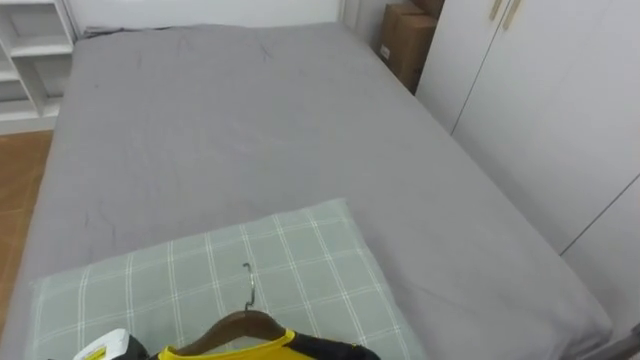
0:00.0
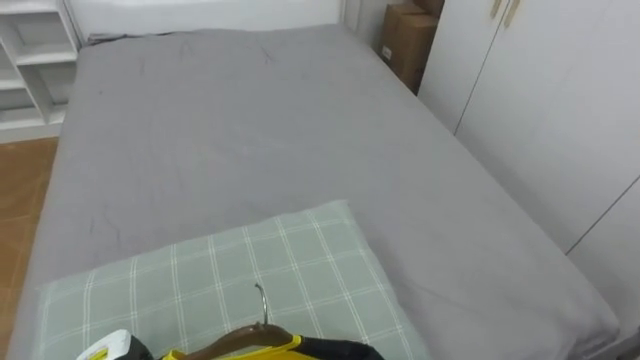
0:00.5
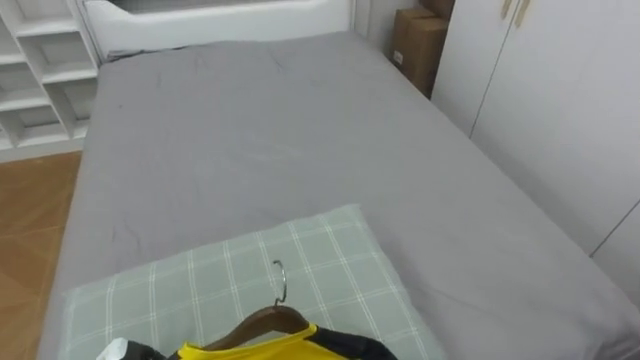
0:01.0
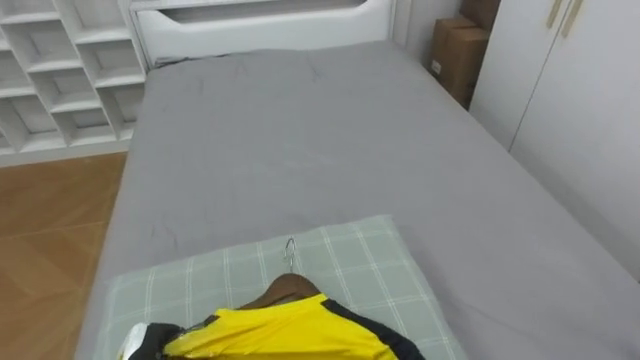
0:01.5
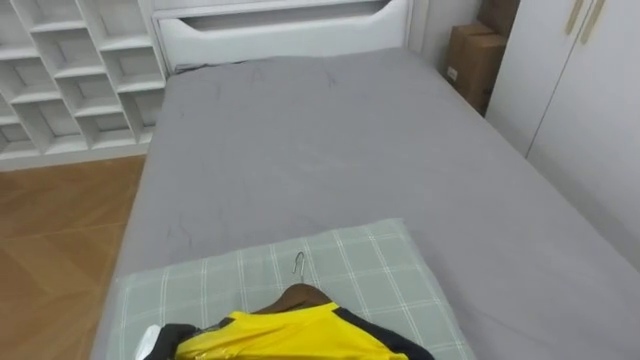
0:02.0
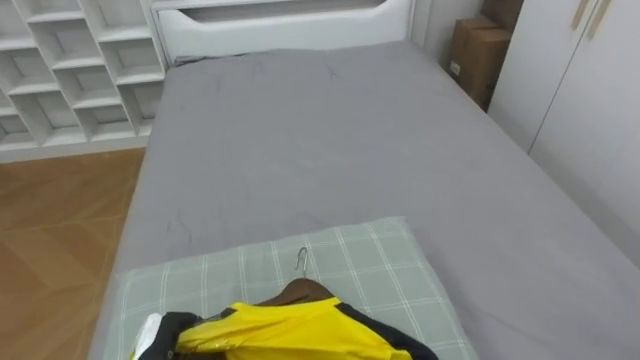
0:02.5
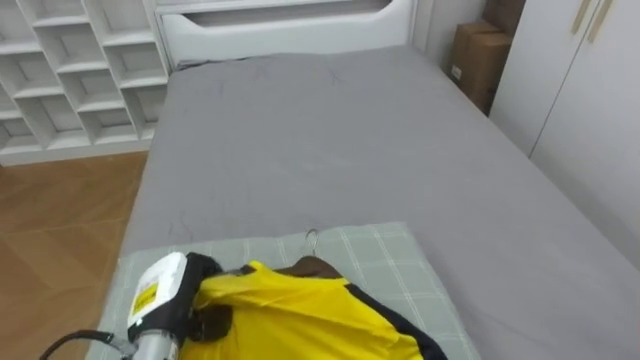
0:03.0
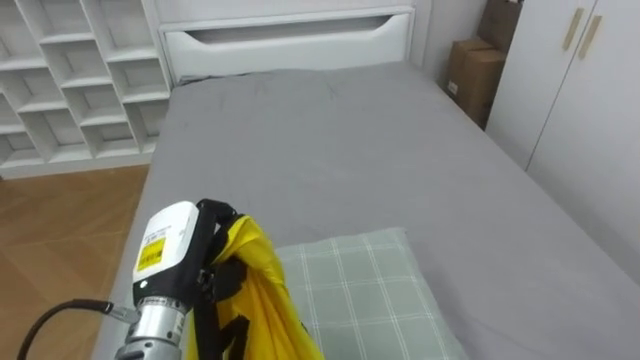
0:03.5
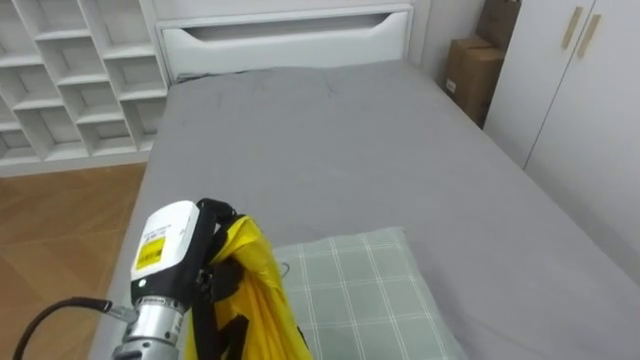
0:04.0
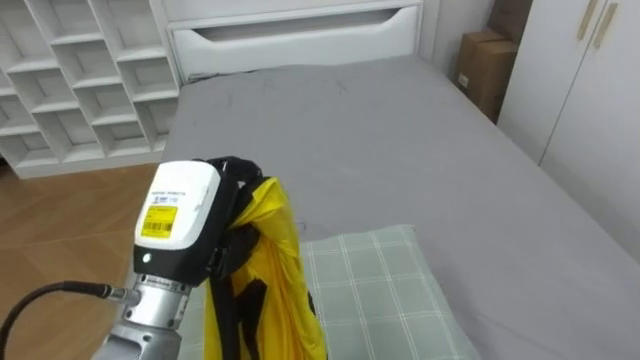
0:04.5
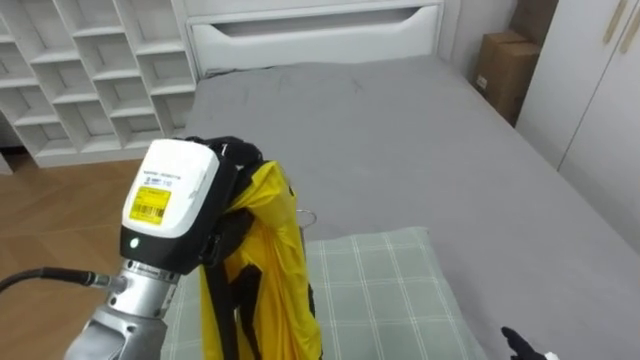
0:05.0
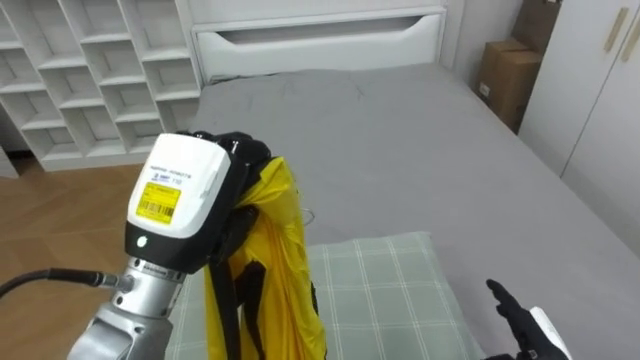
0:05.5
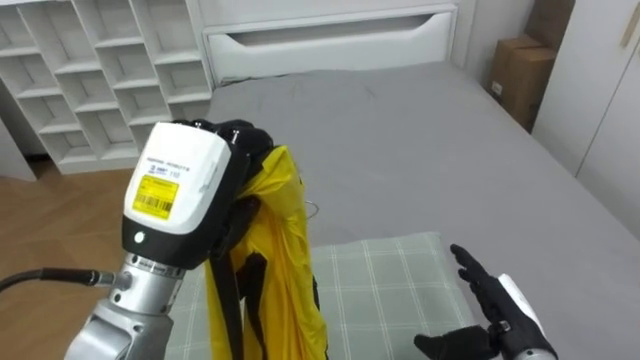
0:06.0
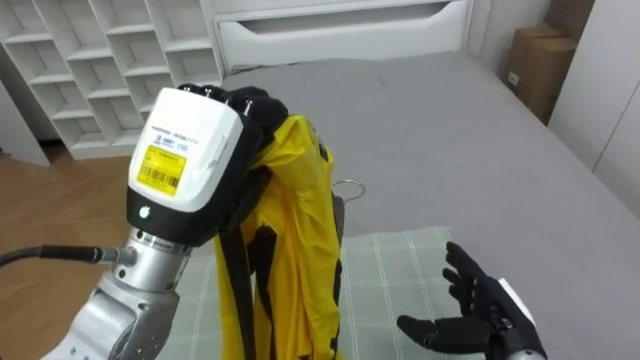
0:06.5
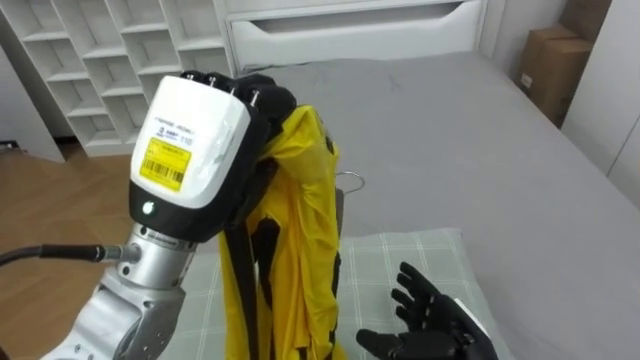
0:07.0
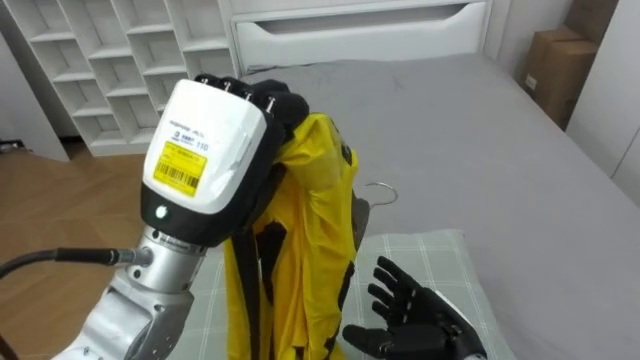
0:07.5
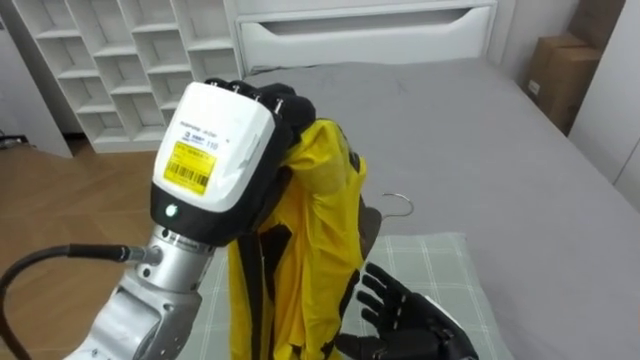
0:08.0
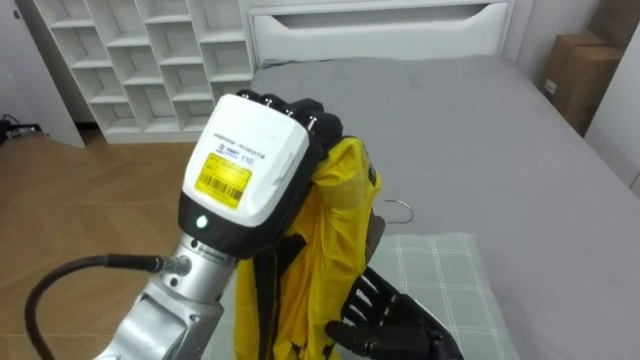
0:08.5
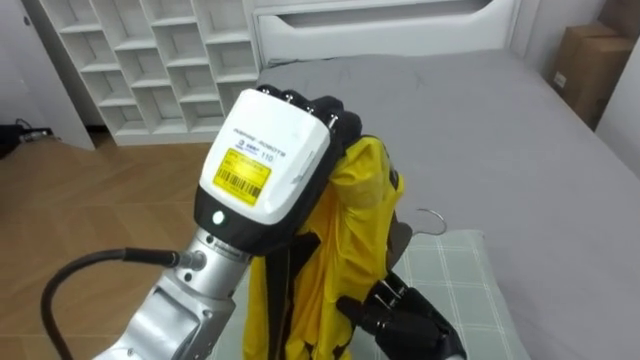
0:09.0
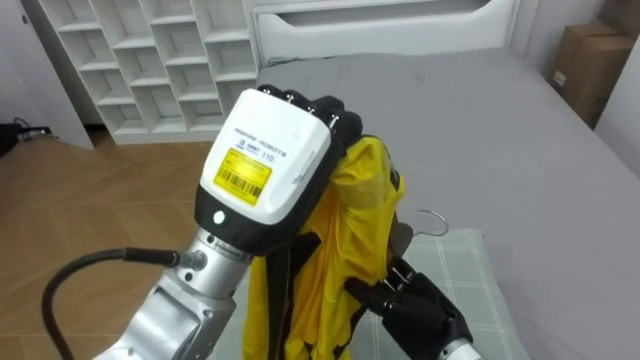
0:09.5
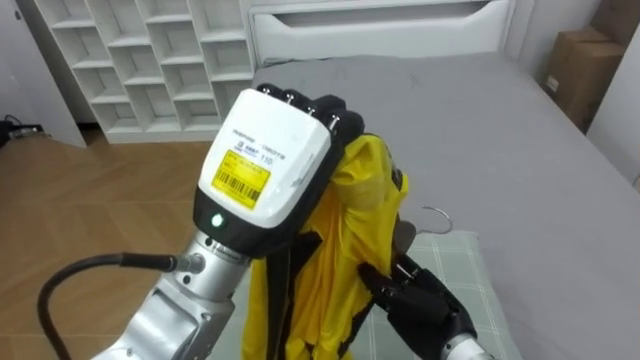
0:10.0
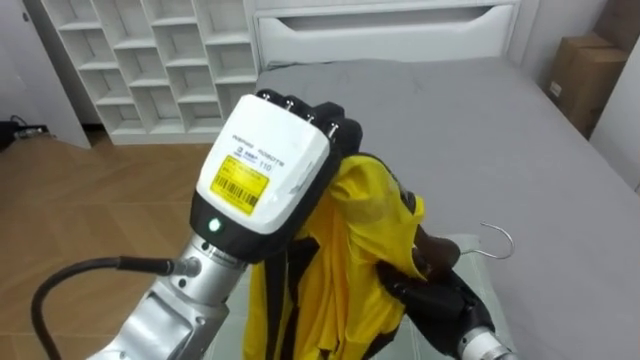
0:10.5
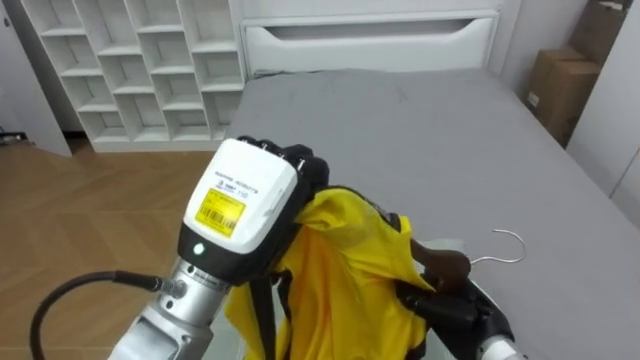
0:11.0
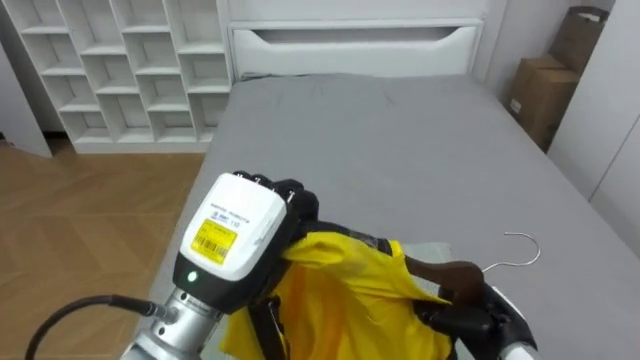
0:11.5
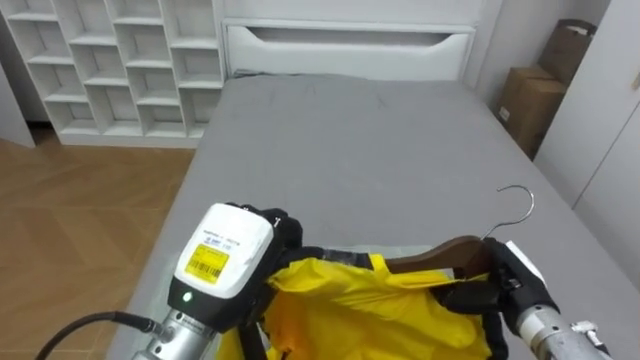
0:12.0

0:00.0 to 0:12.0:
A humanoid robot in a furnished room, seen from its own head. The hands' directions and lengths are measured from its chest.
Task of the whole recording: Pick up the yellow shirt on the bed and hang it on the clothes rack on the right.
0:00.0 to 0:02.0: The left hand shifts roughly 5 cm to the right.
0:02.0 to 0:04.0: The left hand travels upward by some 20 cm.
0:04.0 to 0:06.0: The left hand heads upward, covering about 10 cm.
0:06.0 to 0:08.0: The left hand moves some 5 cm. The right hand goes about 10 cm to the left.
0:08.0 to 0:10.0: The right hand closes.
0:10.0 to 0:12.0: The right hand goes about 10 cm to the right, and closes its fingers; the left hand shifts roughly 15 cm downward.

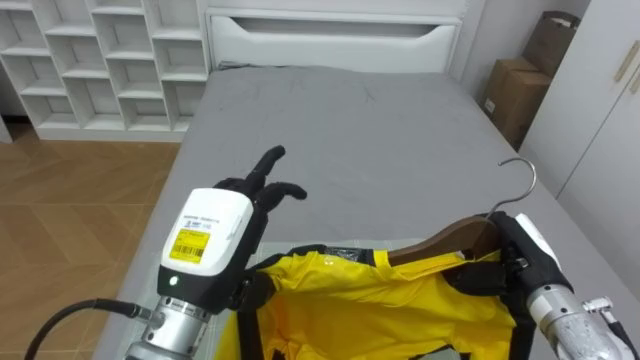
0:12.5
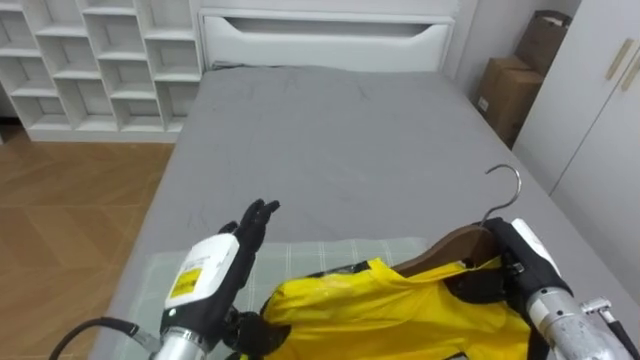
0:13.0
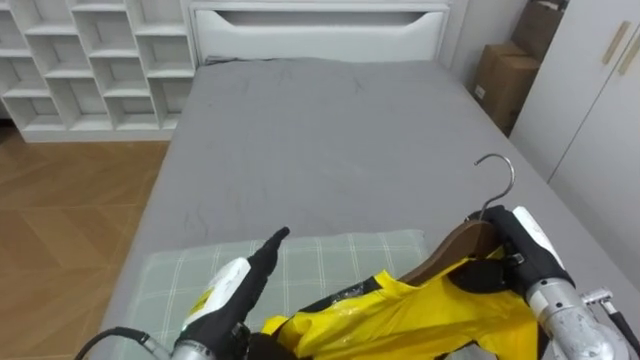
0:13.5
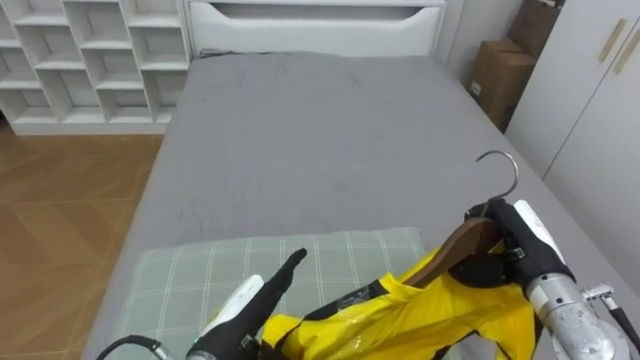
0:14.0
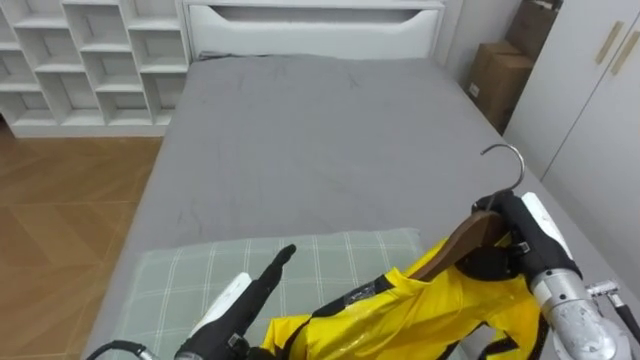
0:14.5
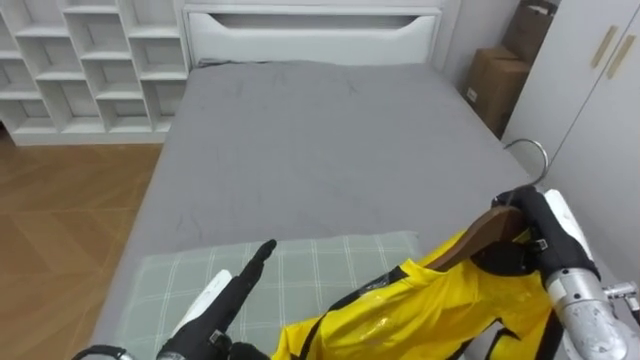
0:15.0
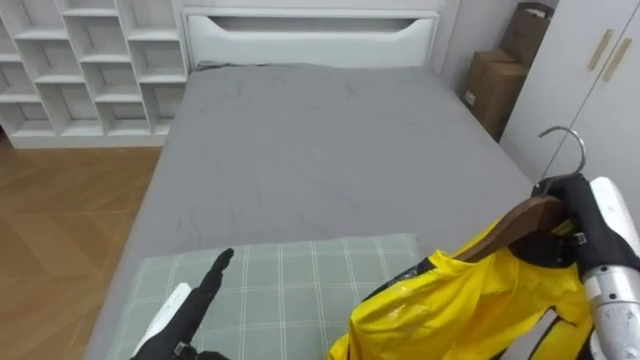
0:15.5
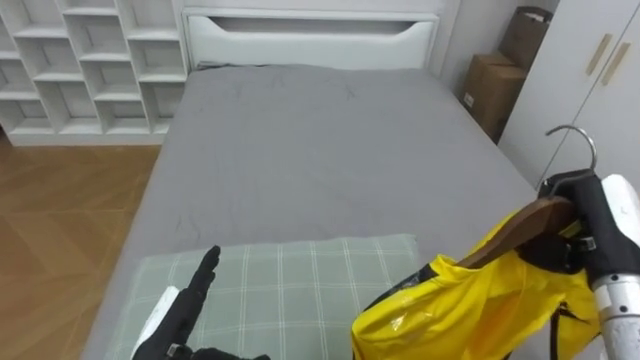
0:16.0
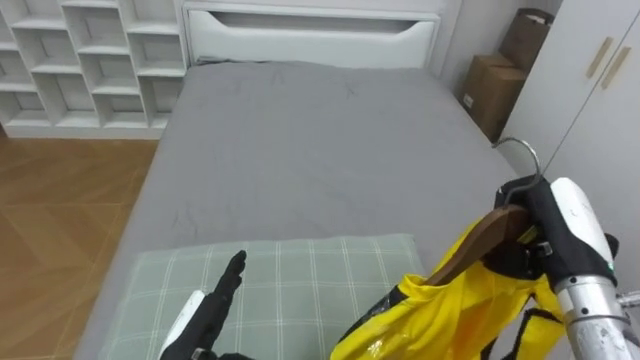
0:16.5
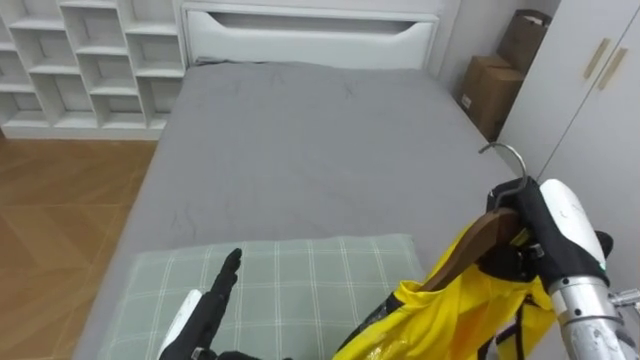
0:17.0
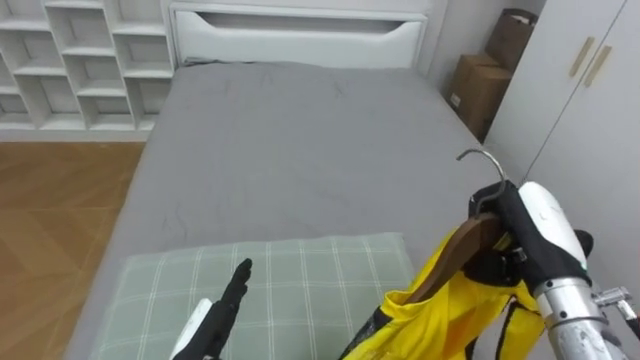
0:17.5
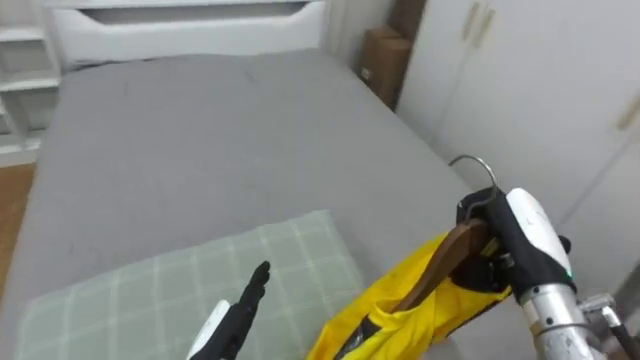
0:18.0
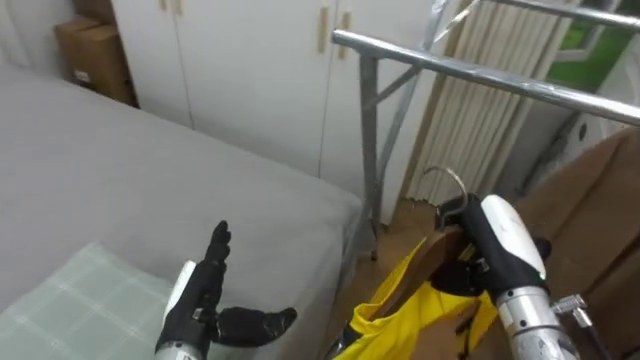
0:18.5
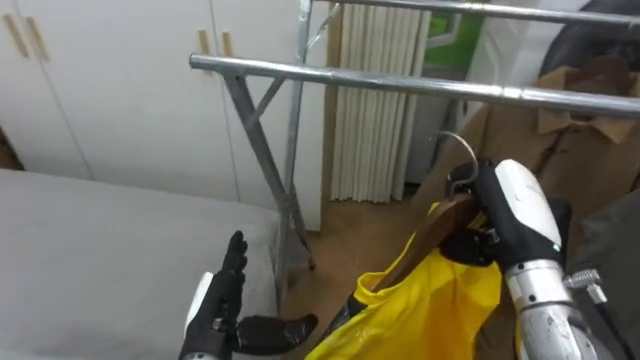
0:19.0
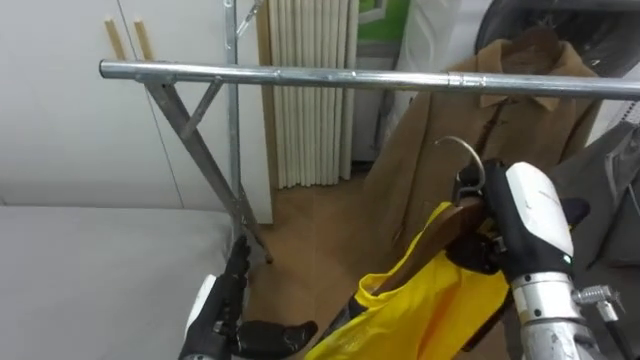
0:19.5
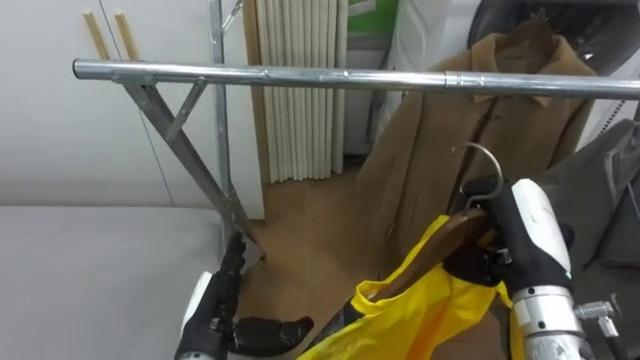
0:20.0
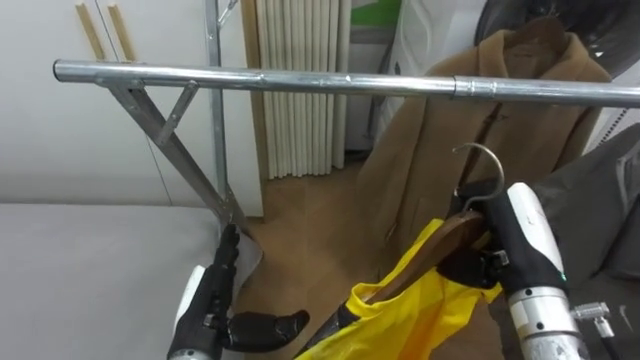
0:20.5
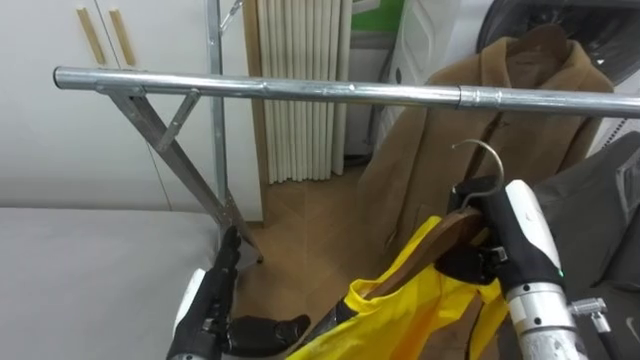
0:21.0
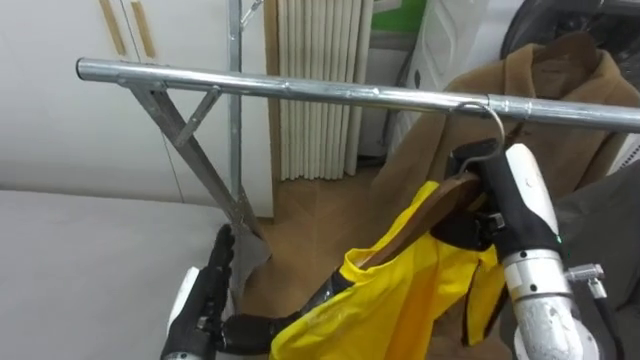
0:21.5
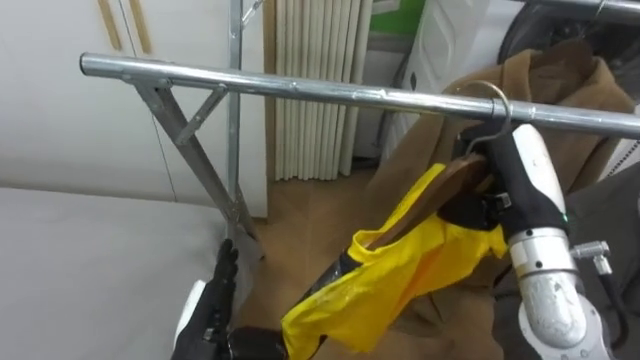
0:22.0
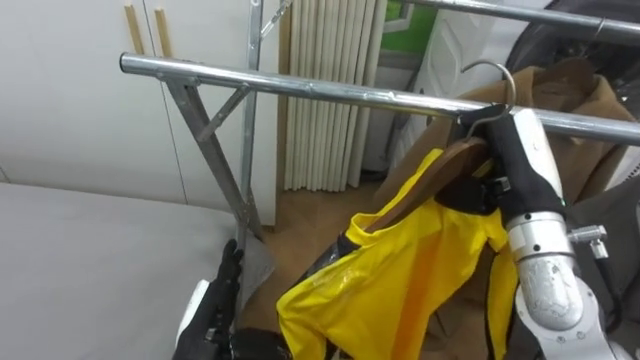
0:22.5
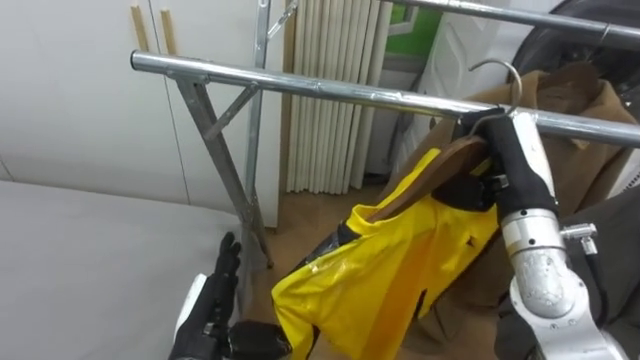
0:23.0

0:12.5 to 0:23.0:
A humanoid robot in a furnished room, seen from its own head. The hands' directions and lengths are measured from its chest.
Task of the whole recording: Pick up the yellow shirt on the bed and hang it on the clothes rack on the right.
0:12.5 to 0:14.5: The left hand shifts about 10 cm downward, and opens.
0:14.5 to 0:16.5: The right hand changes place by some 5 cm.
0:16.5 to 0:19.0: The robot's body swings approximately 75 degrees to its right. The right hand travels to the left by some 5 cm.
0:21.0 to 0:23.0: The right hand heads forward, covering some 5 cm.
